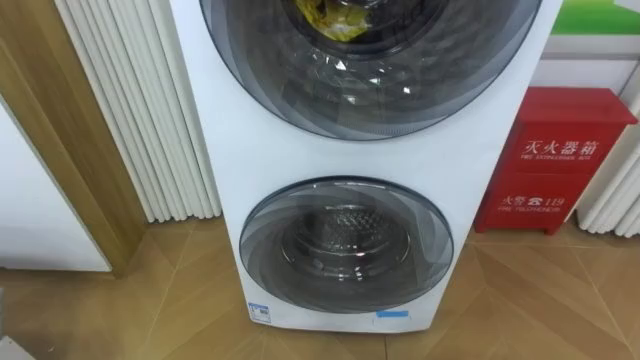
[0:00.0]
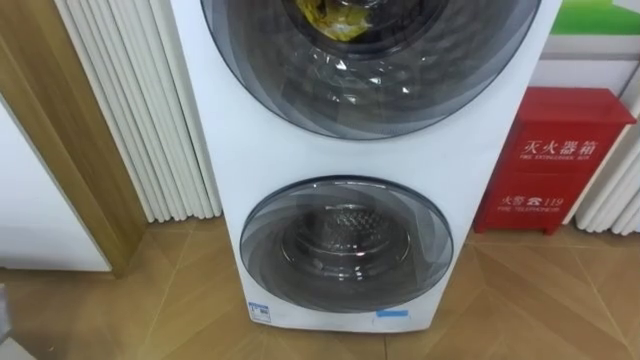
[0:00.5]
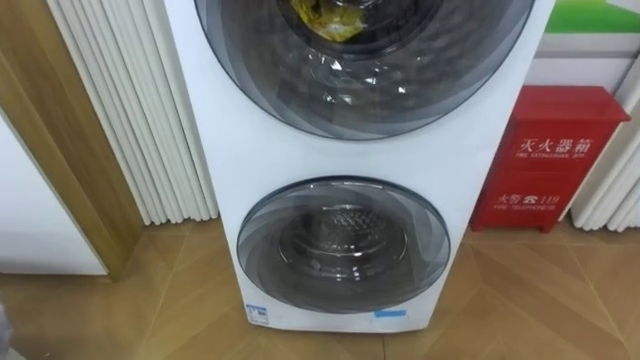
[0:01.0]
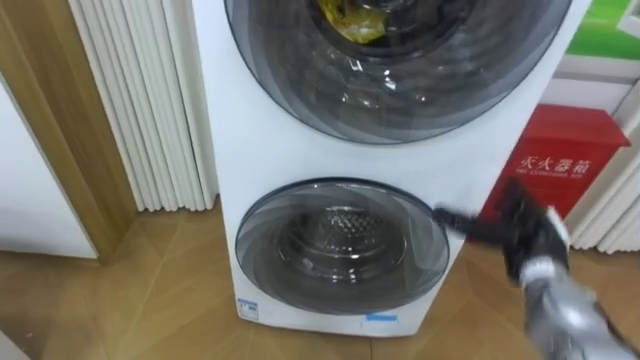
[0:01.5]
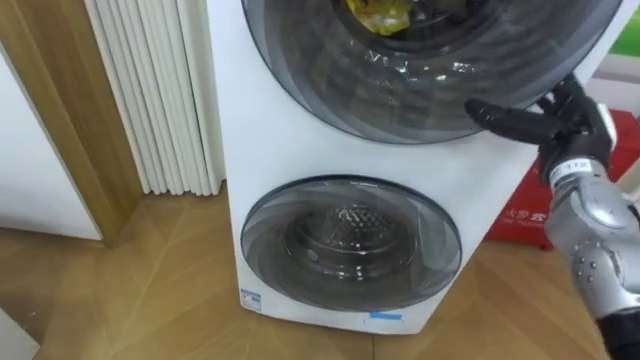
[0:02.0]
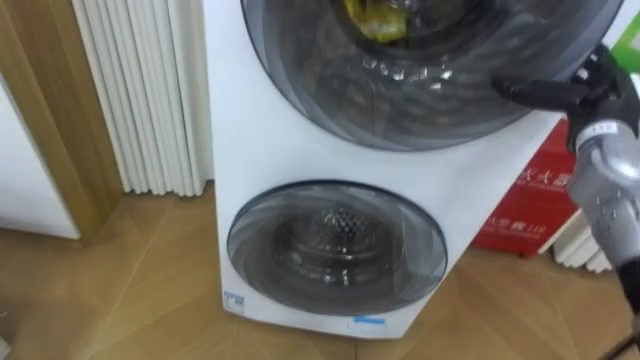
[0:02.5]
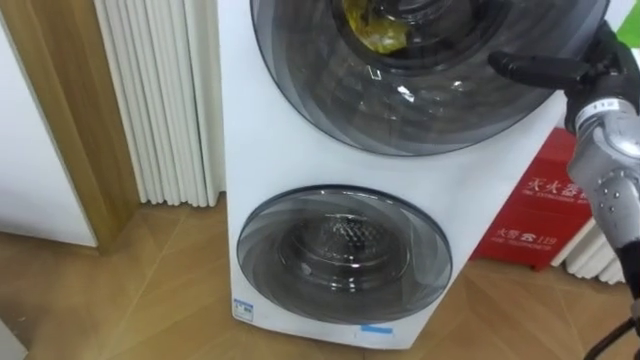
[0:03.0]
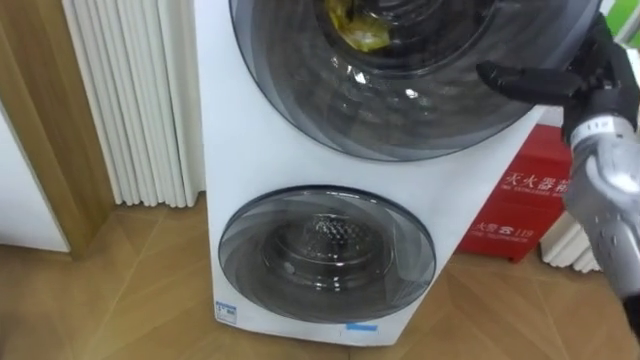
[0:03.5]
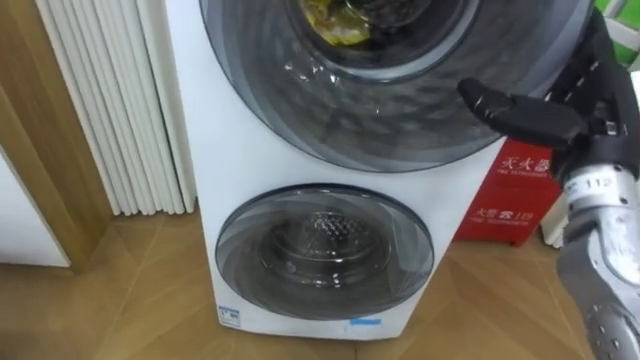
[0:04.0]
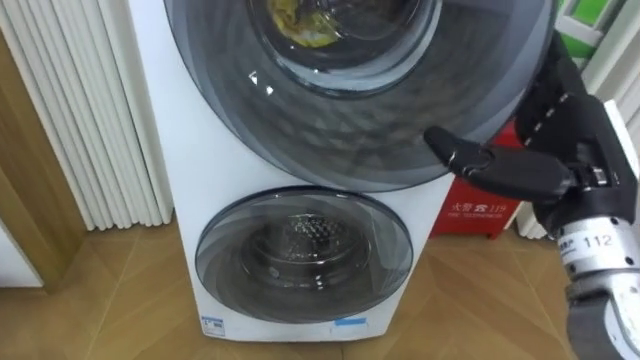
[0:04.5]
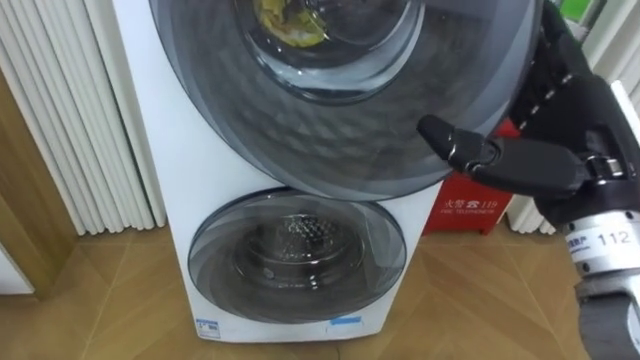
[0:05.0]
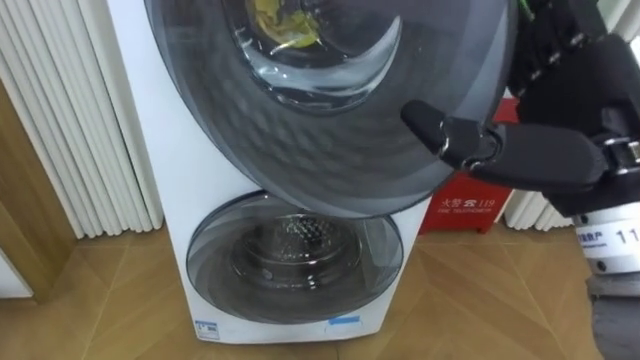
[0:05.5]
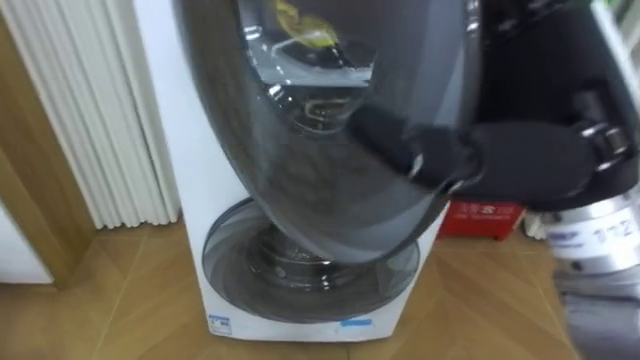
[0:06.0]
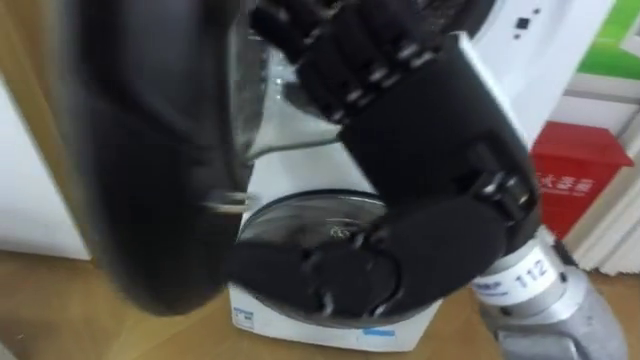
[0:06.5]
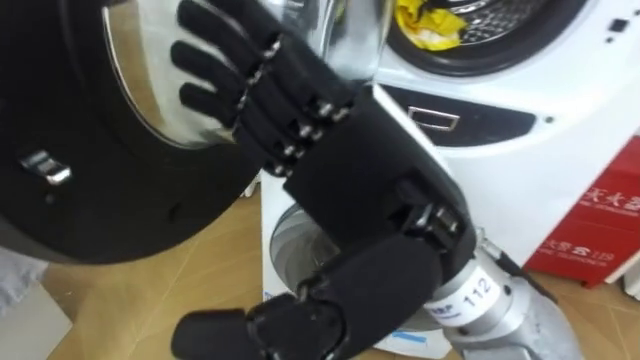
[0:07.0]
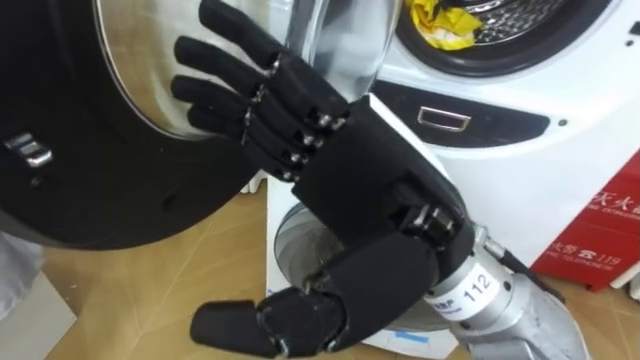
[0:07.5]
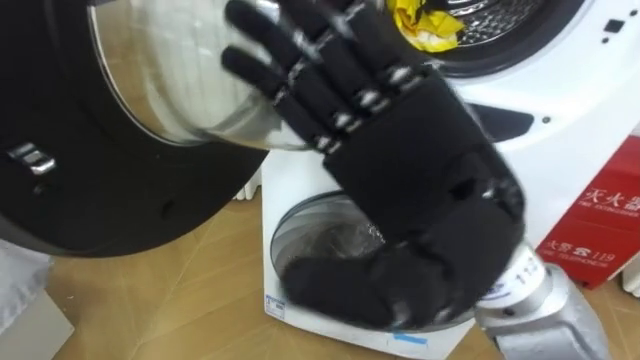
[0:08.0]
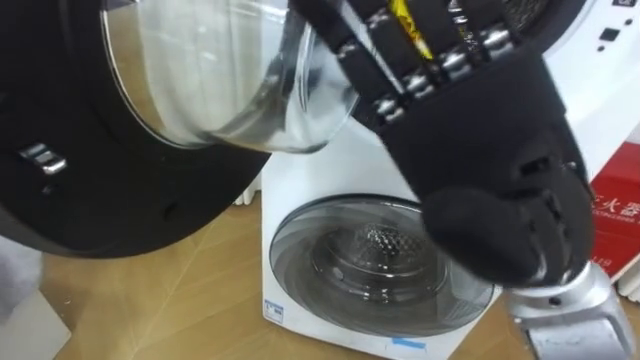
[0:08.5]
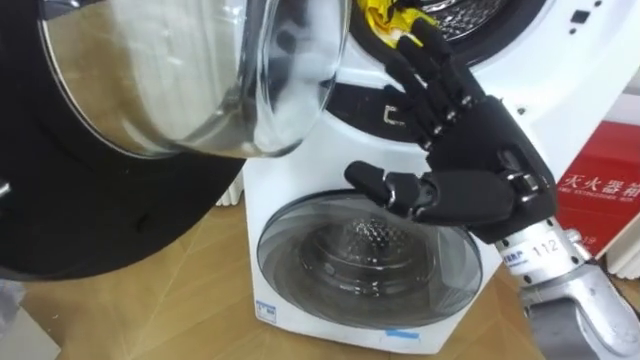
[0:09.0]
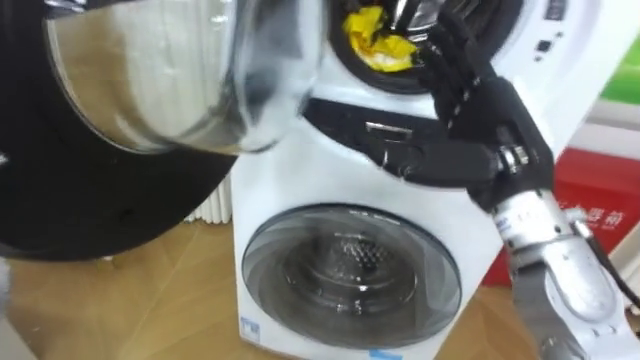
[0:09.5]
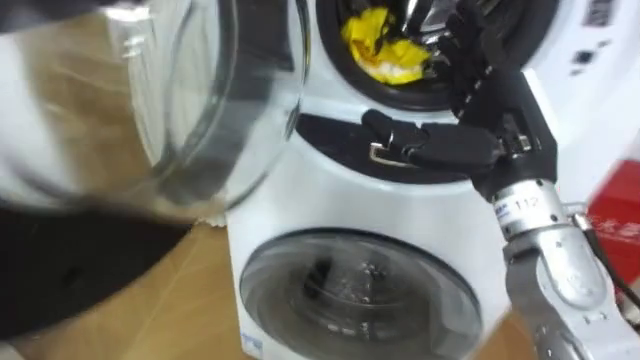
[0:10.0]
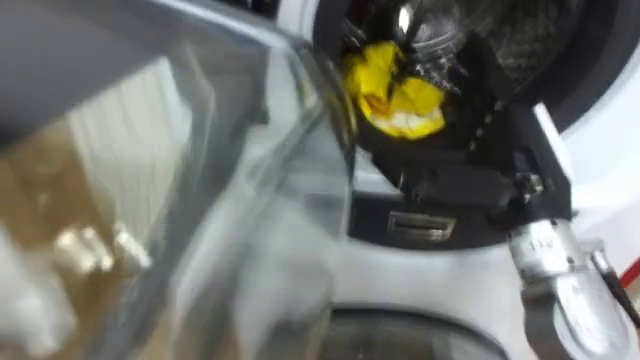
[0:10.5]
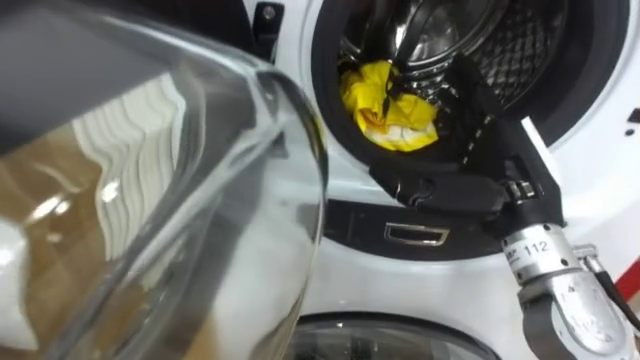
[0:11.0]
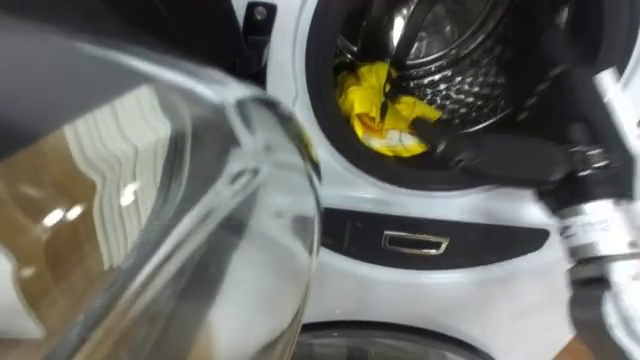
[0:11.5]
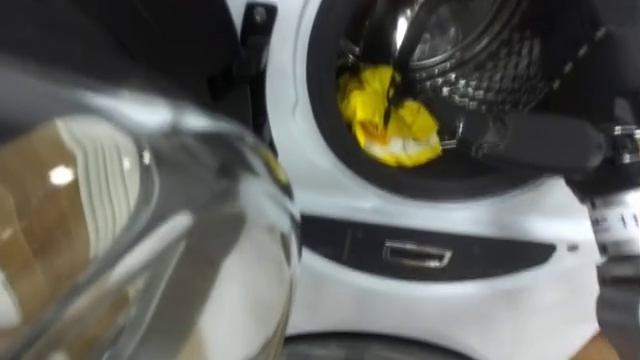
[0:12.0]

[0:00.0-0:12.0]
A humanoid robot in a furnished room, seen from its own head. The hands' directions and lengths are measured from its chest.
Task of the whole recording: Open the washing machine door, take out the yellow clothes, place them in the box on the right, and close the washing machine door.
0:02.0 to 0:04.0: The right hand travels backward and upward by some 10 cm.
0:04.0 to 0:06.0: The right hand heads to the left, backward and upward, covering about 15 cm.
0:06.0 to 0:08.0: The right hand is displaced to the left by about 5 cm.
0:08.0 to 0:10.0: The right hand heads forward, to the right and downward, covering approximately 15 cm.
0:10.0 to 0:12.0: The right hand travels backward by about 5 cm.

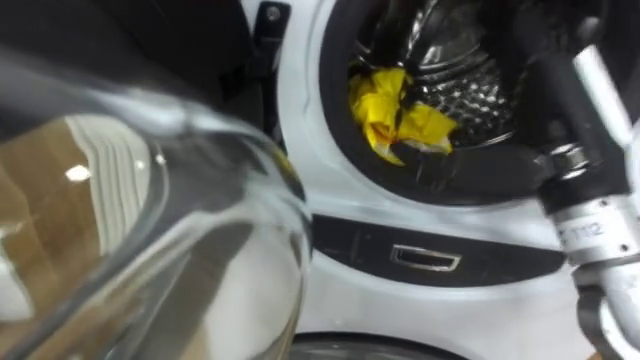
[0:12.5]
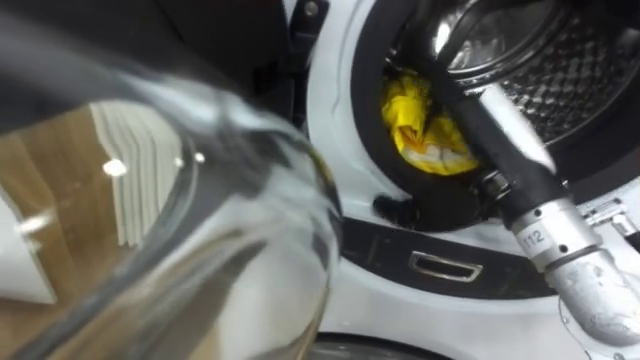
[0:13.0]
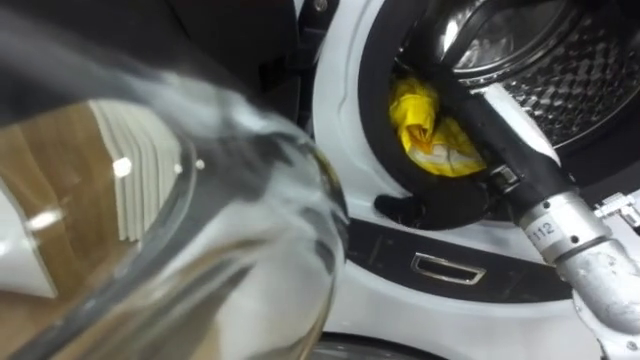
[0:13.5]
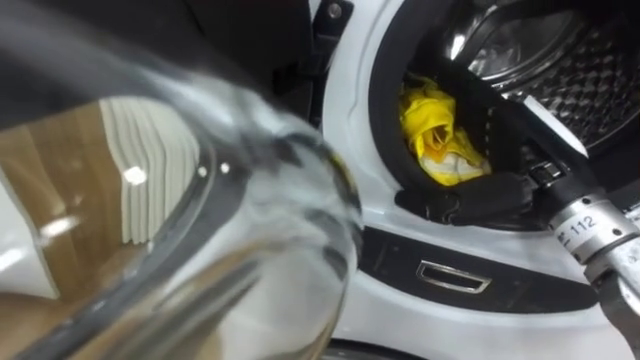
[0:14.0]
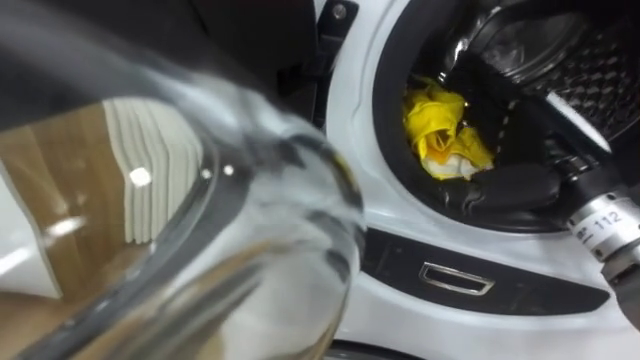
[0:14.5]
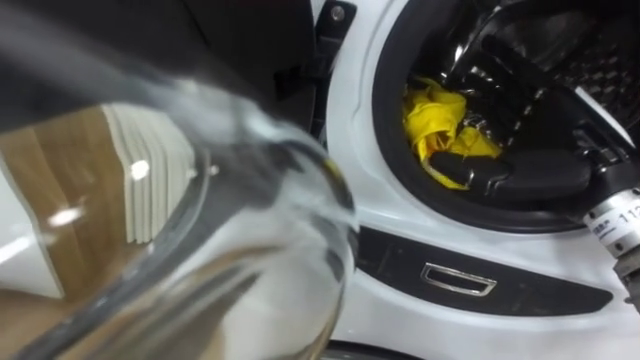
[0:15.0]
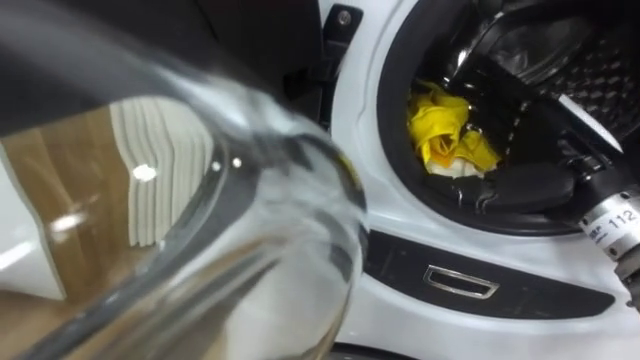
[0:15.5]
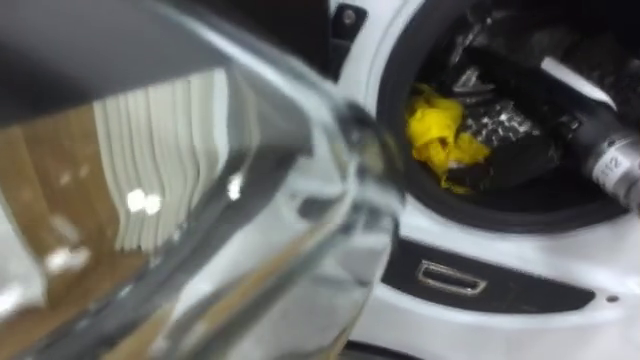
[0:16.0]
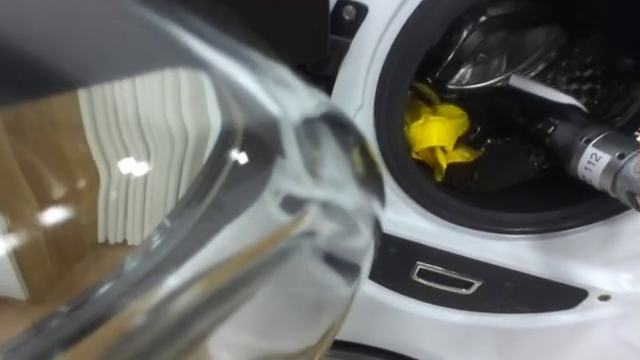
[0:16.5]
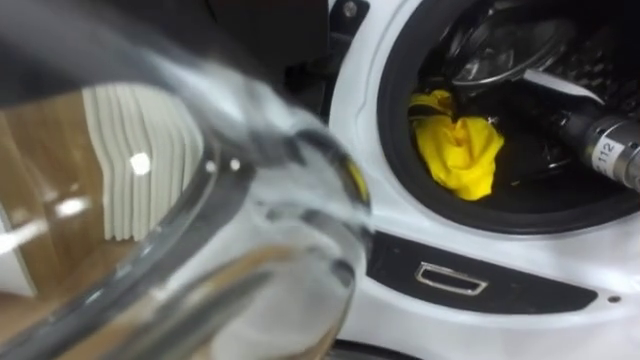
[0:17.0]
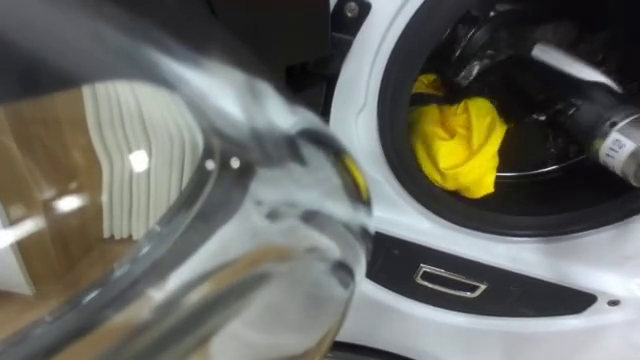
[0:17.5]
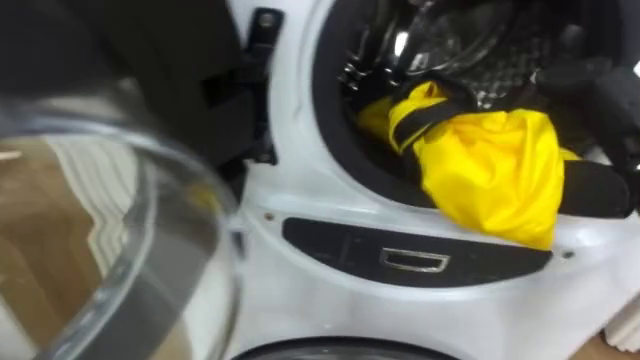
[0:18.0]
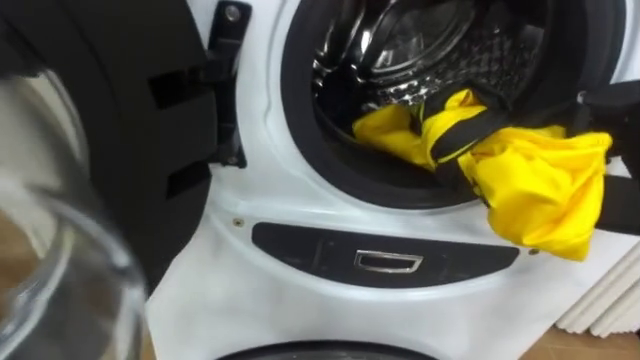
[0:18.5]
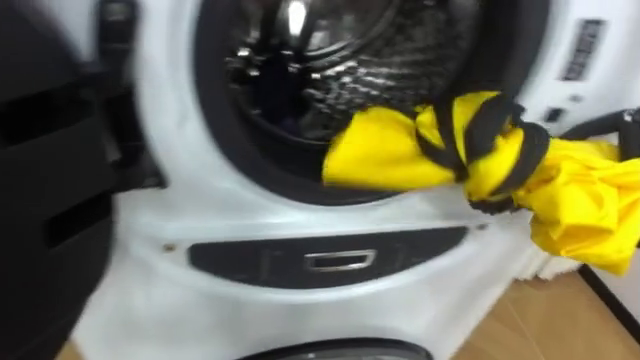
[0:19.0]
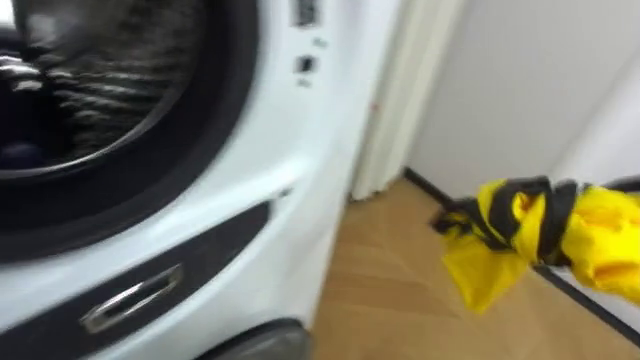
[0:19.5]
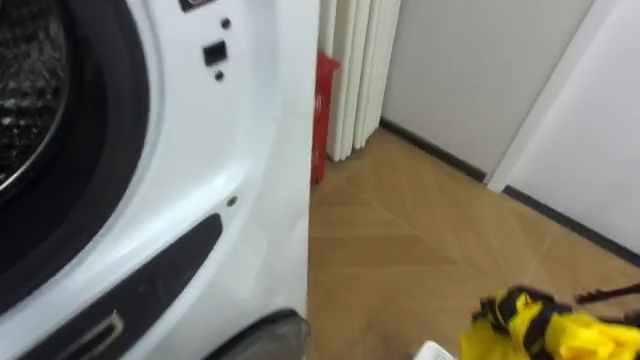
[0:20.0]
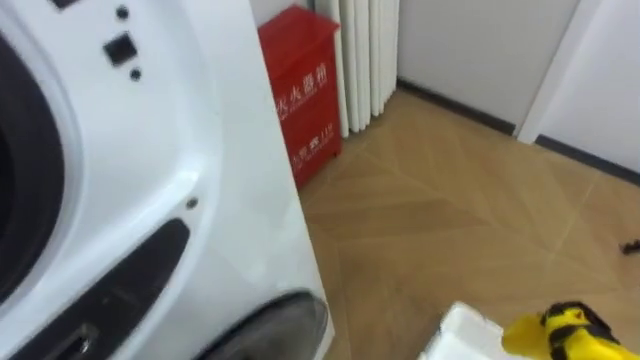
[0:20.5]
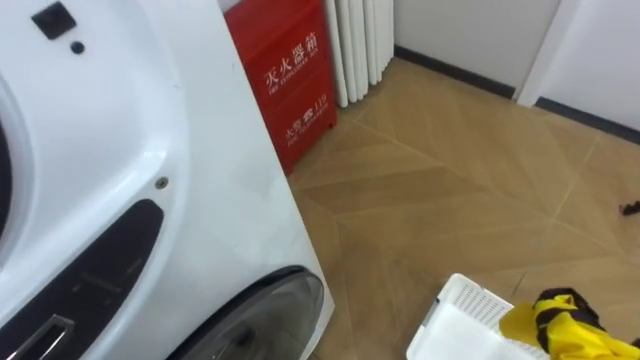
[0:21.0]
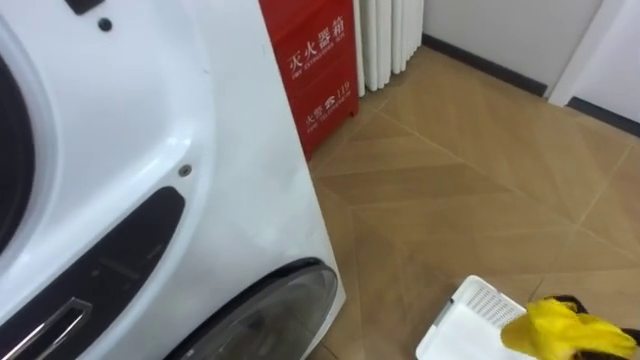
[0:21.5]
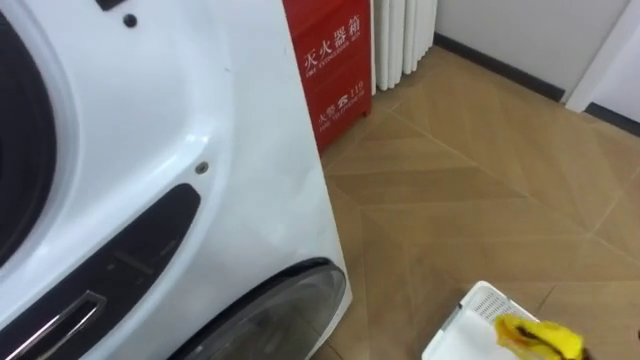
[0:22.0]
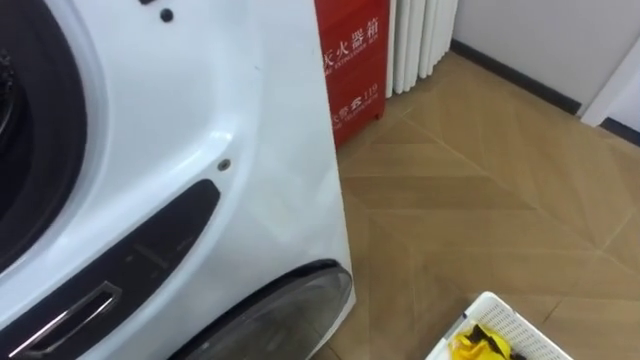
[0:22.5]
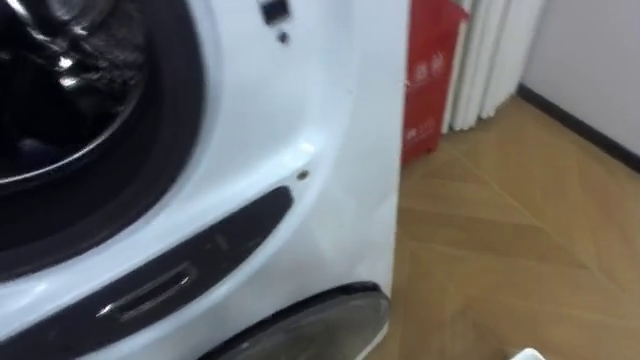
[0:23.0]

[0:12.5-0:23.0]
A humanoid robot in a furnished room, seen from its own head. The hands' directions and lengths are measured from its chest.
Task of the whole recording: Open the washing machine door, take out the yellow clothes, place them in the box on the right, and close the washing machine door.
0:12.5 to 0:14.5: The right hand goes approximately 5 cm downward.
0:14.5 to 0:16.5: The right hand heads forward, covering about 5 cm, and closes its fingers.
0:19.0 to 0:21.0: The robot faces about 30 degrees further to its right.
0:21.0 to 0:23.0: The robot turns to its left by about 15 degrees.
